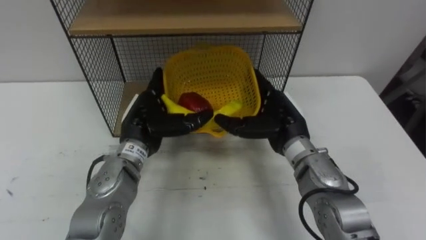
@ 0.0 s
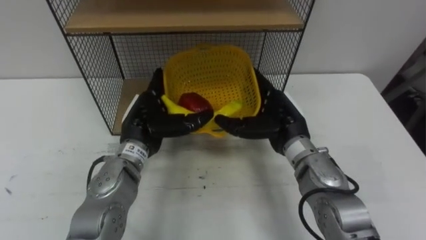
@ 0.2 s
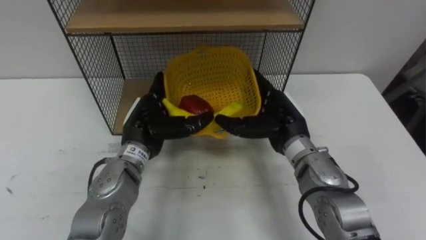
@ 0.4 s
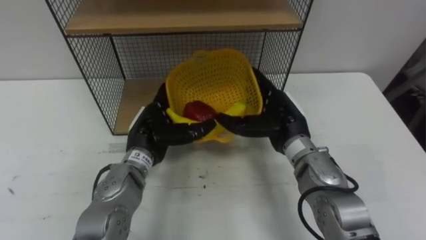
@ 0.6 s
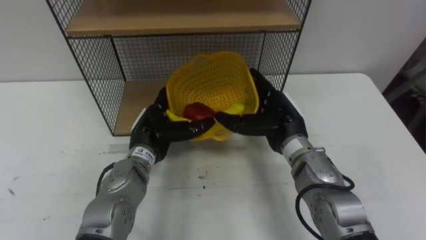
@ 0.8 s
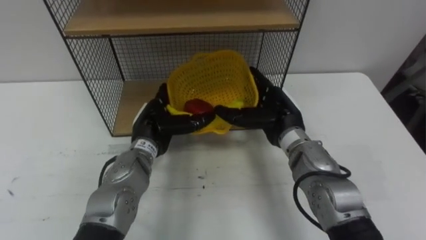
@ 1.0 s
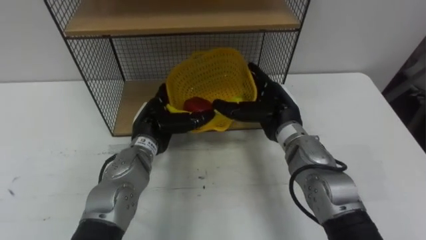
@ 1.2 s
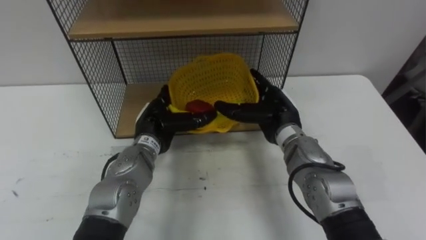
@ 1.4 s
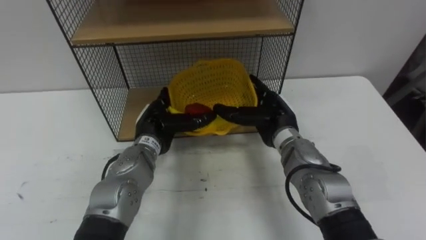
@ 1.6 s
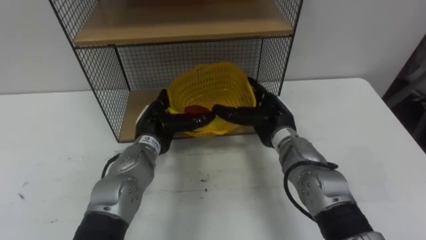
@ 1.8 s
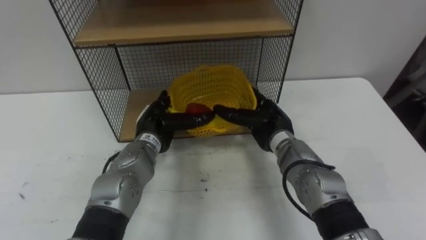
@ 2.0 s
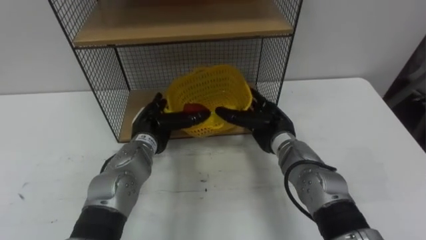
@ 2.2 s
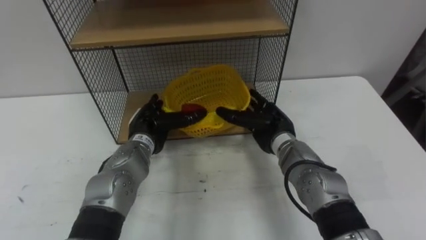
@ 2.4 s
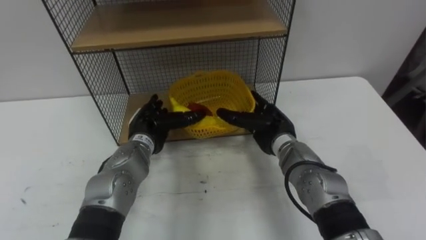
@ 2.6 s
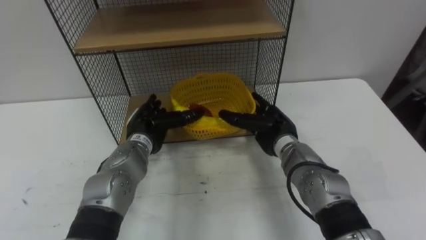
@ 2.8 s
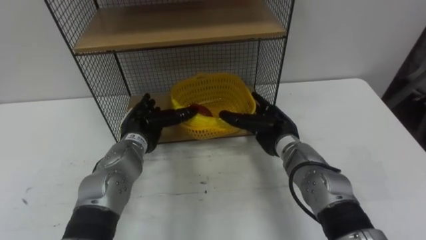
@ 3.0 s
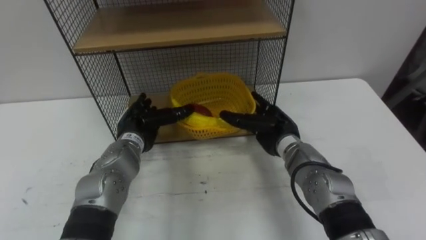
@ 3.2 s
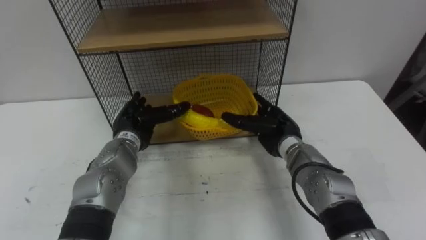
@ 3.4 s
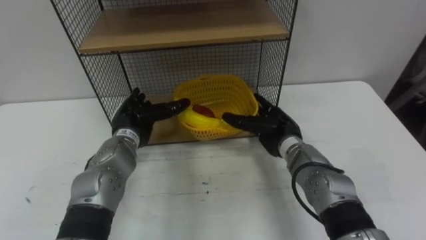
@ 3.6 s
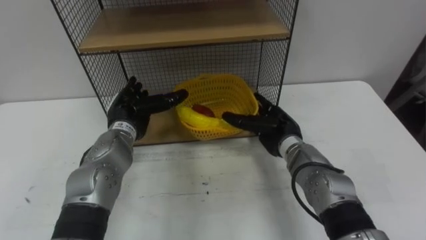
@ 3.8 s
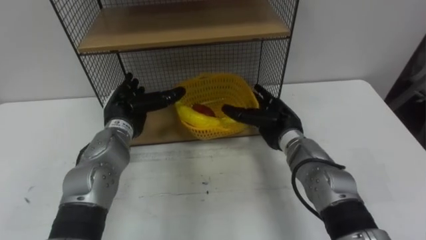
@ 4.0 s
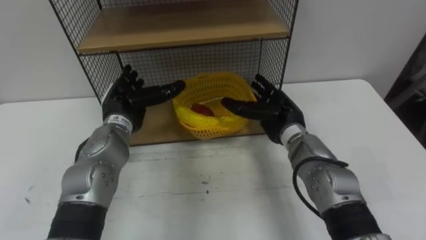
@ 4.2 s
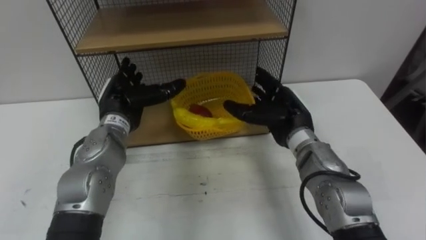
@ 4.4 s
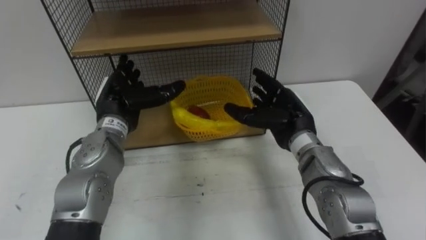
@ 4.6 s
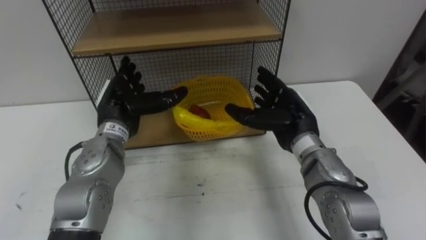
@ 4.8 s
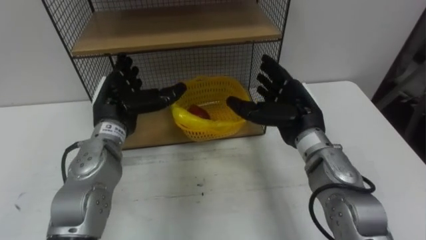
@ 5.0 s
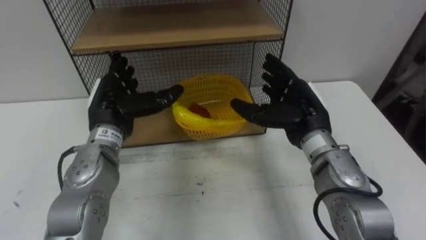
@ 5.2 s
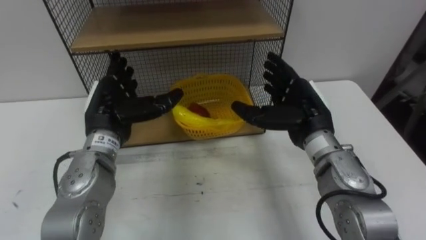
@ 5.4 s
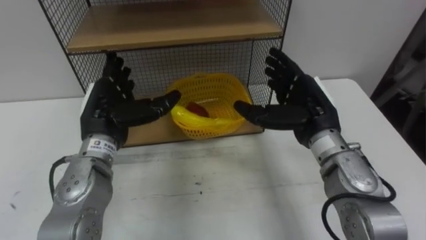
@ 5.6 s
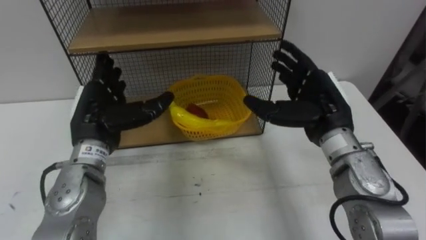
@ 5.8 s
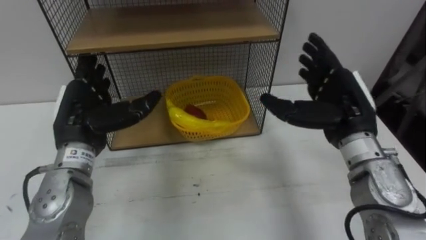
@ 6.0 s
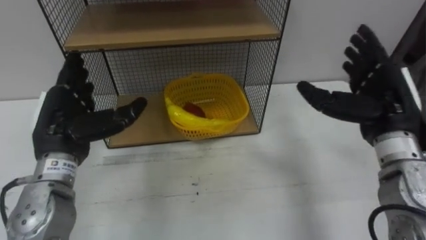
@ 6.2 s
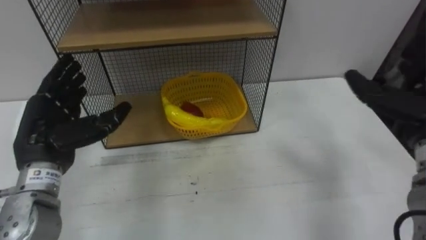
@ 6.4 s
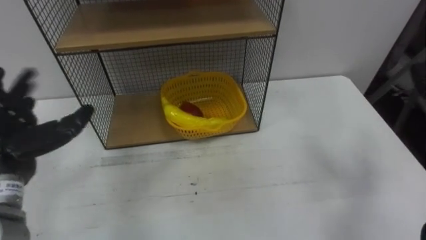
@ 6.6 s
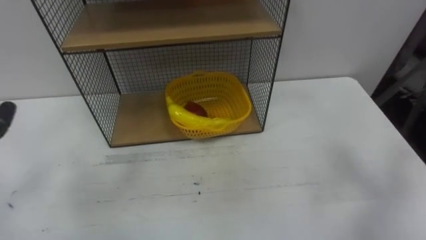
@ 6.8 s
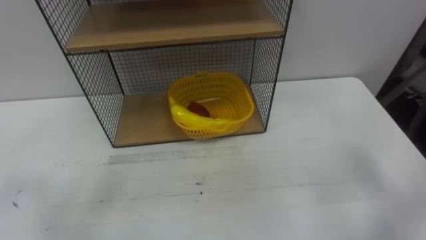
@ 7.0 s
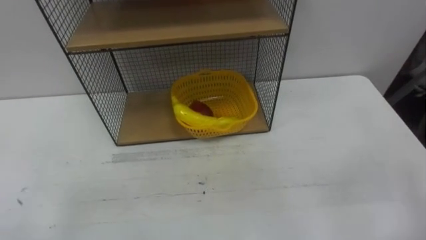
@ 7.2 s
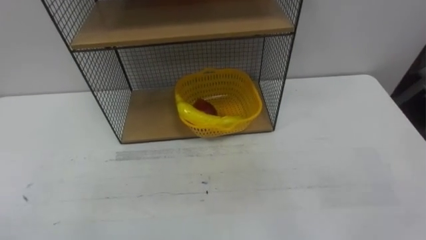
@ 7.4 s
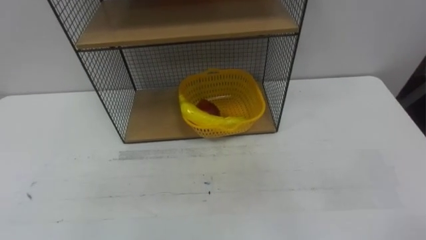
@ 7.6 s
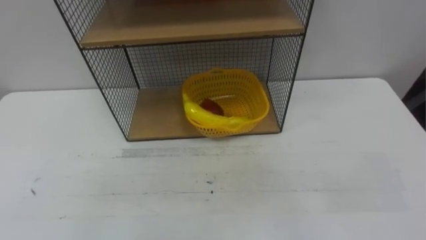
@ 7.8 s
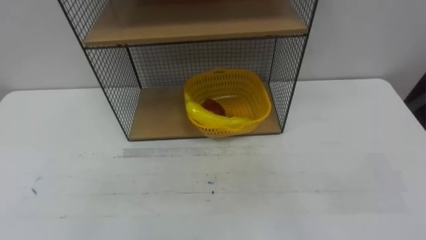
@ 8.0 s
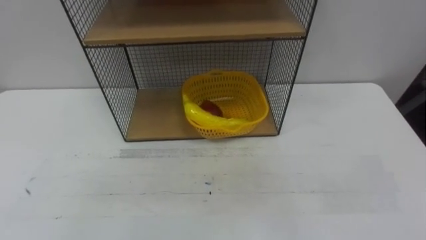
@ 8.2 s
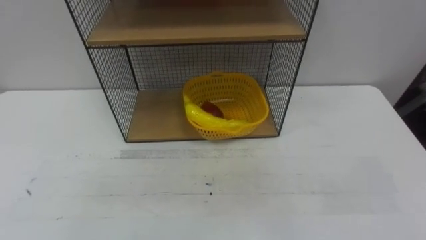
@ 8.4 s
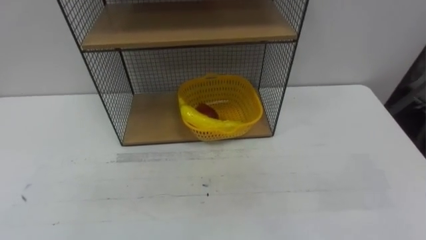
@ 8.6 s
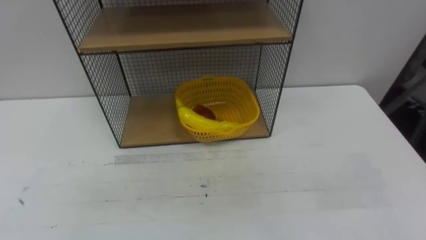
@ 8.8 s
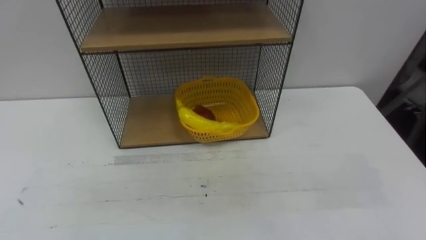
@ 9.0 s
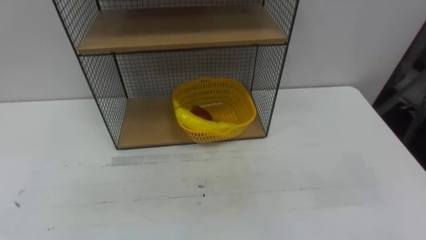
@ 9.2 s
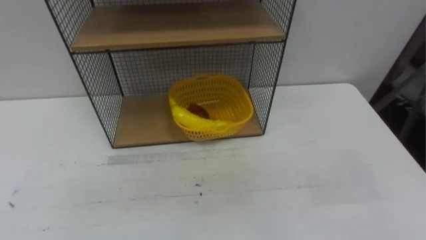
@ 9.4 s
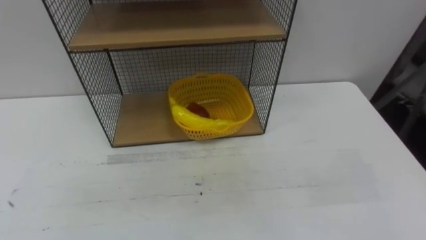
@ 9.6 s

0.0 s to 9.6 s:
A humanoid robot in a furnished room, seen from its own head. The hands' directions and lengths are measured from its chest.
Task of the whole recording: Put the fruit on the table into the basket, then place the basket on the shelf.
0.0 to 1.6 s: The left hand shifts by roughly 5 cm.
3.2 to 4.8 s: The two hands go approximately 5 cm upward.
4.8 to 6.4 s: The left hand heads to the left and backward, covering about 10 cm.

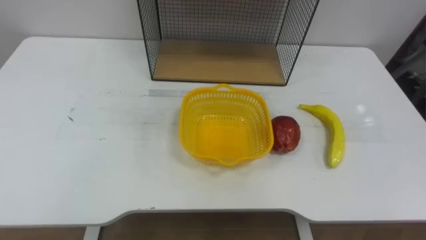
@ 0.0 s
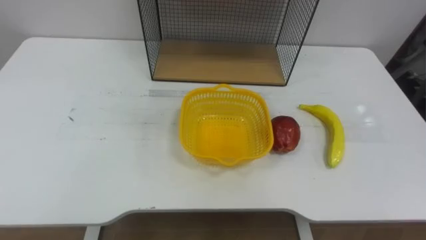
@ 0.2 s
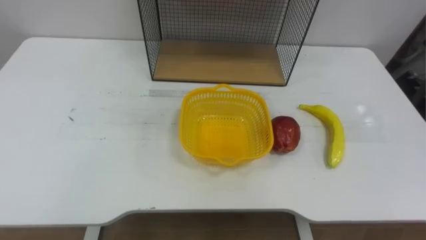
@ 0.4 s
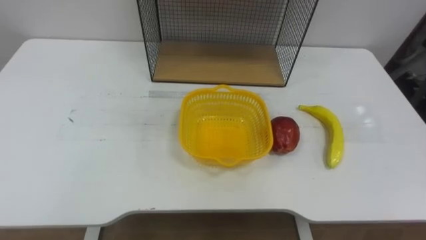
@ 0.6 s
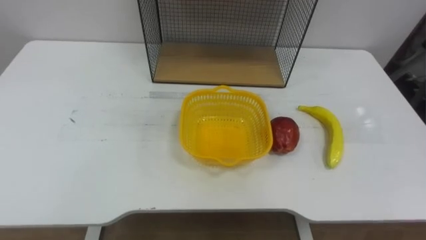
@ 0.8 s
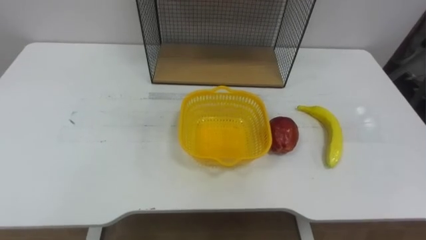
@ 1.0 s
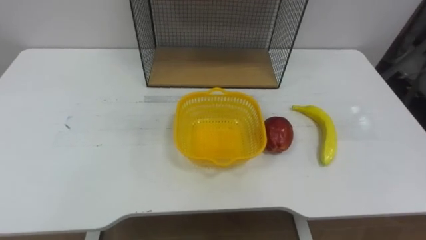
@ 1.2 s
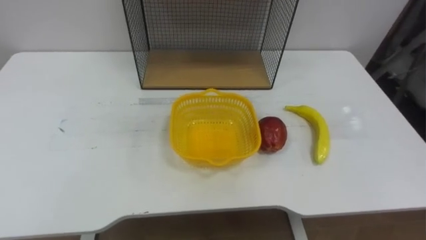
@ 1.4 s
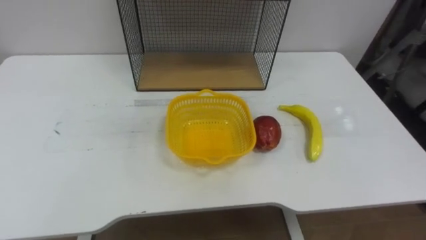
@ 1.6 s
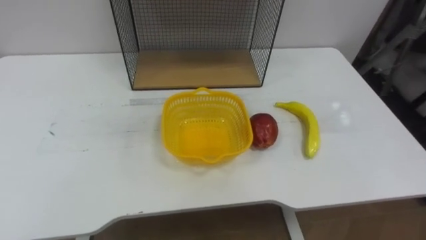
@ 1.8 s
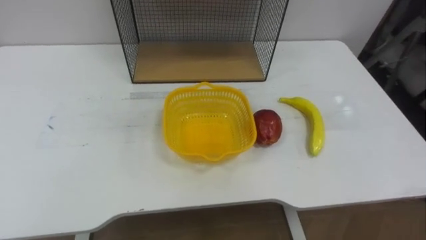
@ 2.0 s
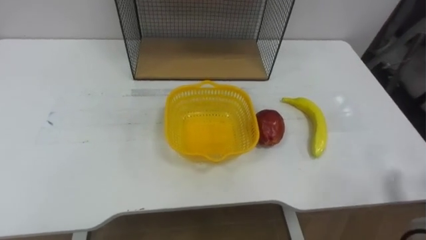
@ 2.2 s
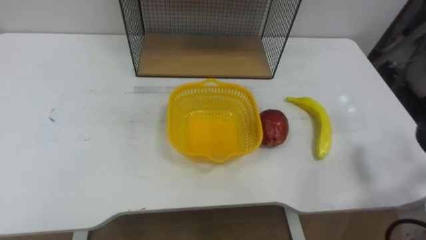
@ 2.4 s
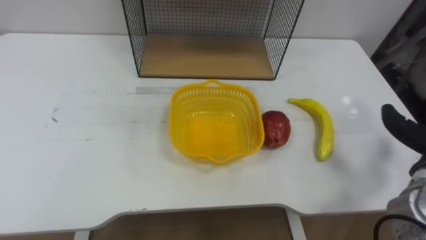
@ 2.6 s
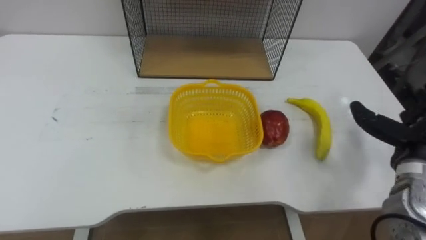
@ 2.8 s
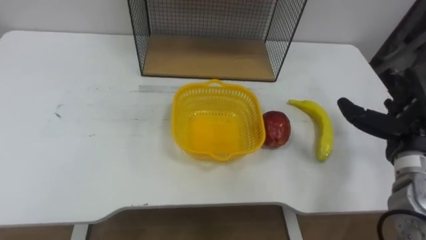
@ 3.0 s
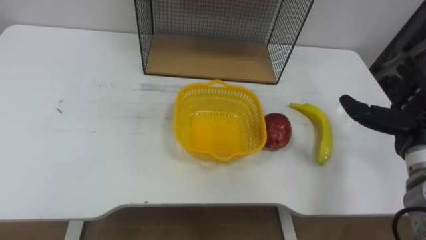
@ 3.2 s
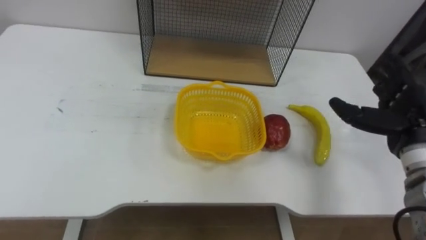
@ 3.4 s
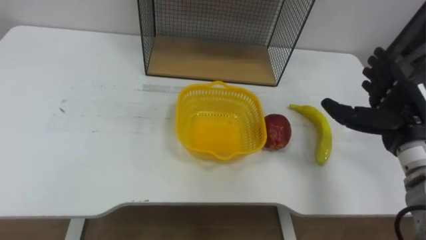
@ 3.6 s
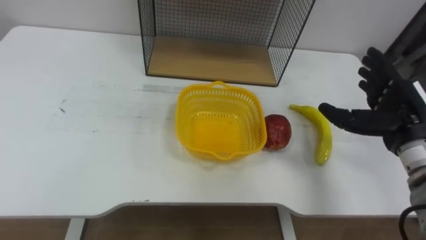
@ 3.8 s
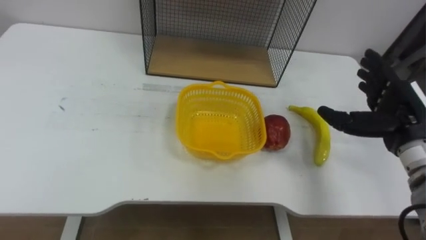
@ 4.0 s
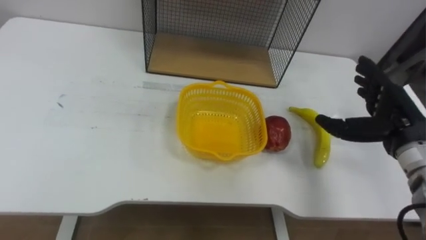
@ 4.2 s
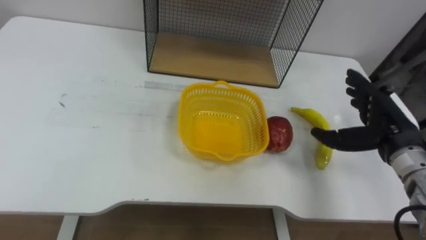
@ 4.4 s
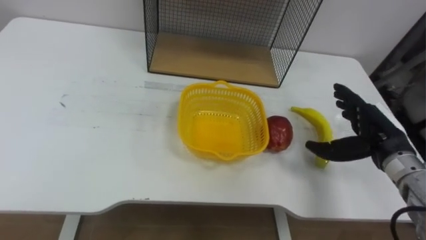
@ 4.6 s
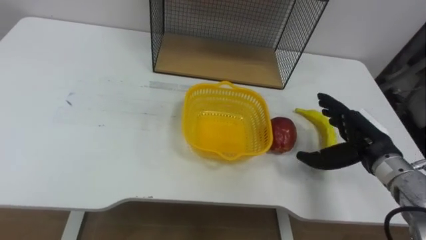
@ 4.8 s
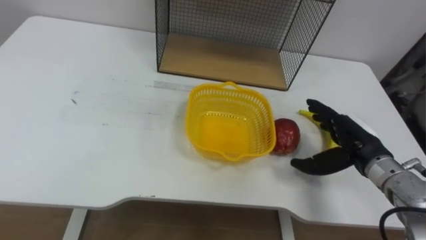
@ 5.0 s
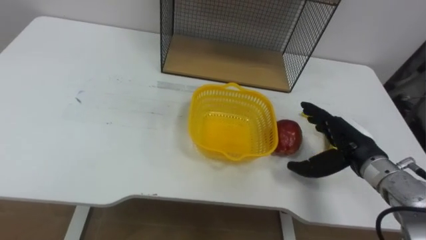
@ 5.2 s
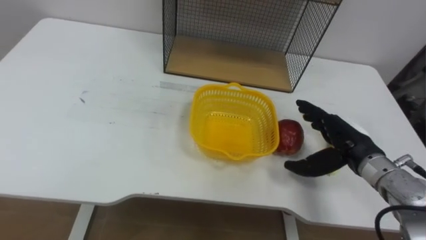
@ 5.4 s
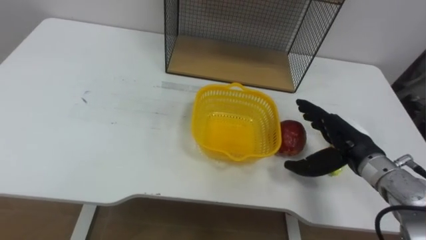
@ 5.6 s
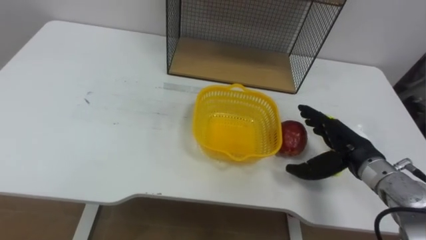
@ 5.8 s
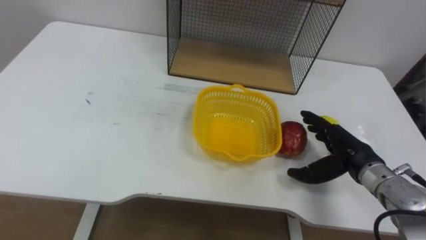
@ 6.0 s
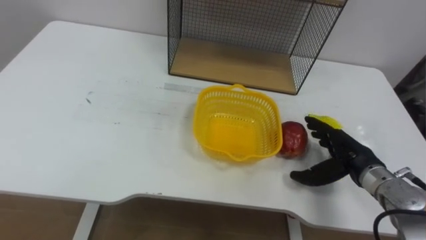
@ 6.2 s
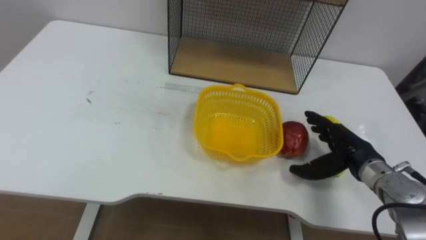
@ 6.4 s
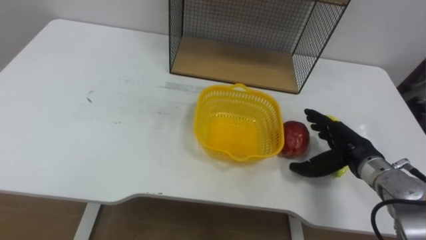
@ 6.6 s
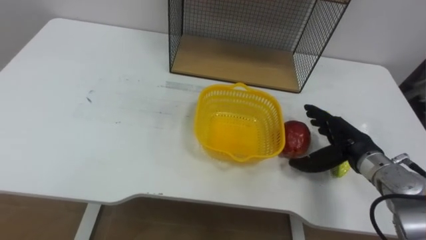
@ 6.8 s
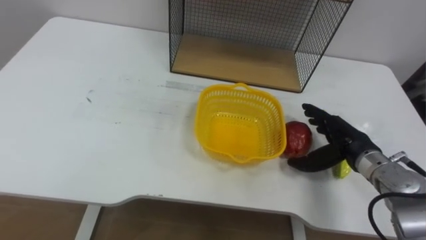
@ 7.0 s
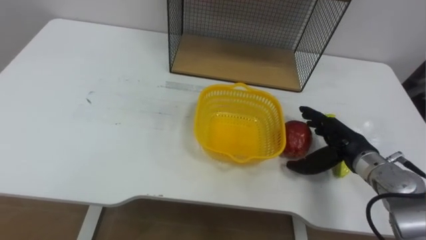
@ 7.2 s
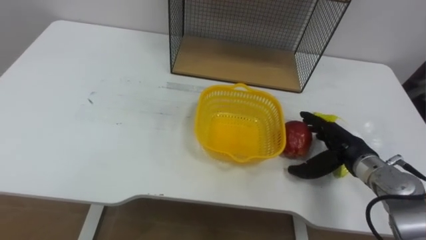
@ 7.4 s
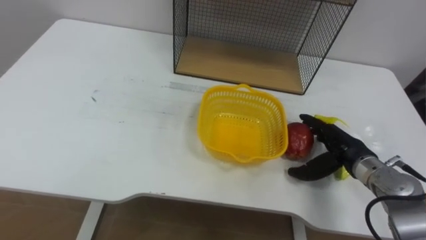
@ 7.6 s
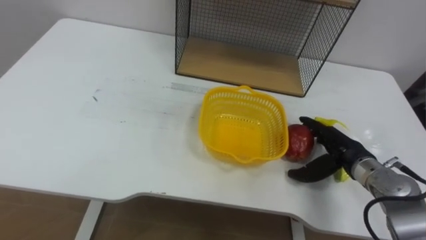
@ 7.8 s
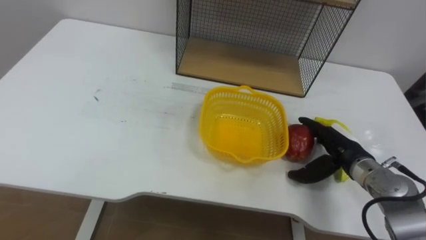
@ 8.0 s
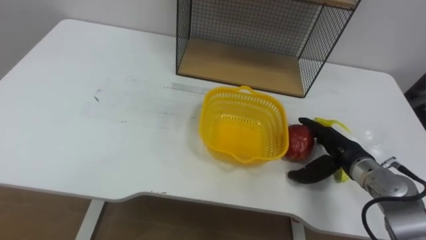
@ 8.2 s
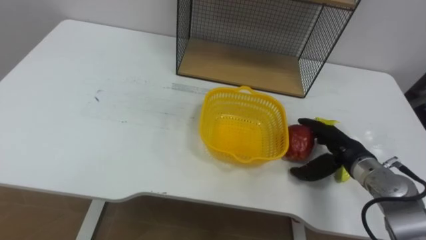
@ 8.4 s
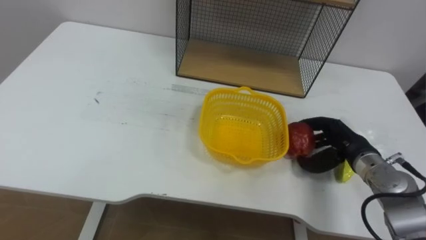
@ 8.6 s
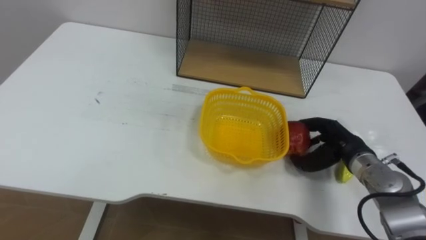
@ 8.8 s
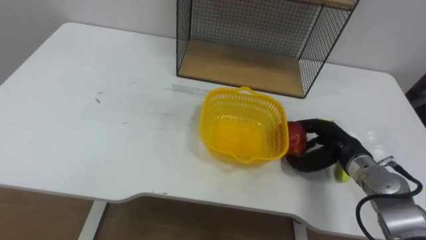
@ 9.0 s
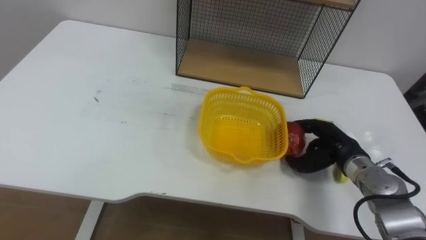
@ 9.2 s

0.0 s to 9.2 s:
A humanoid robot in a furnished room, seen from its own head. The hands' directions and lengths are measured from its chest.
Task of the whole recording: Put the fruit on the table into the basket, then place the basket on the shelf.
4.6 to 6.2 s: The right hand heads downward, covering roughly 5 cm.
7.6 to 9.2 s: The right hand closes.
